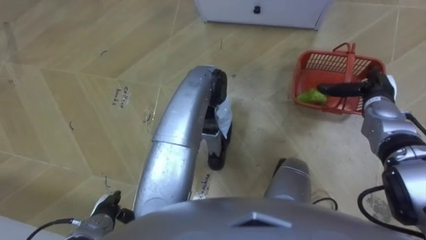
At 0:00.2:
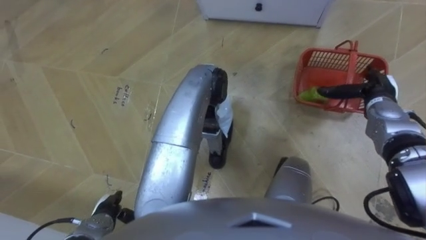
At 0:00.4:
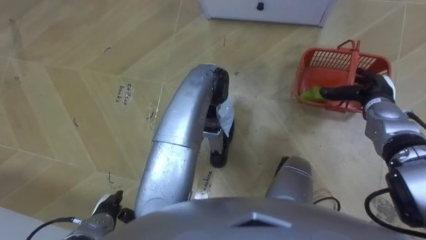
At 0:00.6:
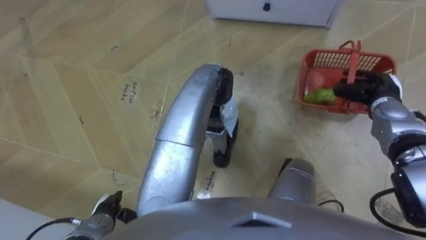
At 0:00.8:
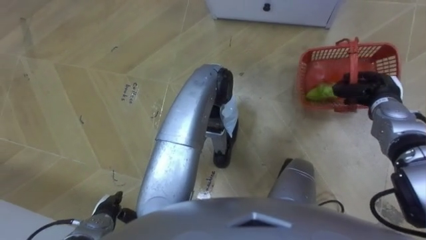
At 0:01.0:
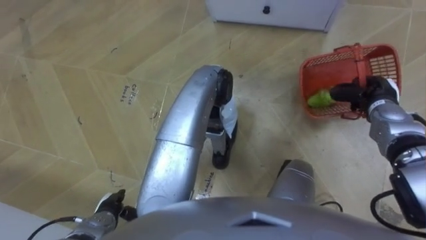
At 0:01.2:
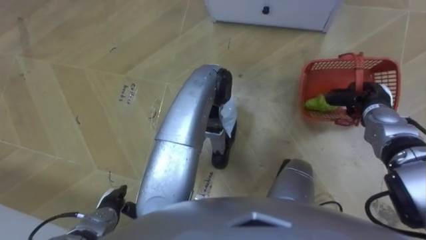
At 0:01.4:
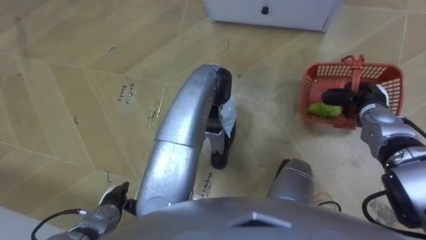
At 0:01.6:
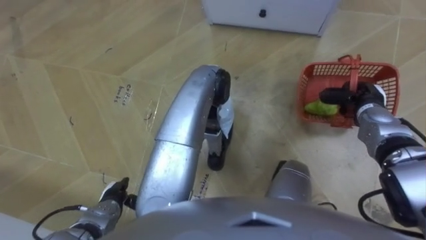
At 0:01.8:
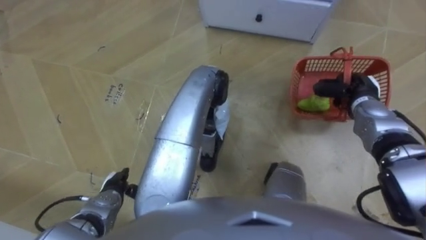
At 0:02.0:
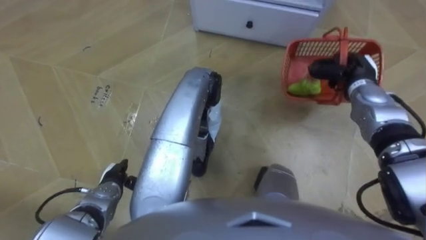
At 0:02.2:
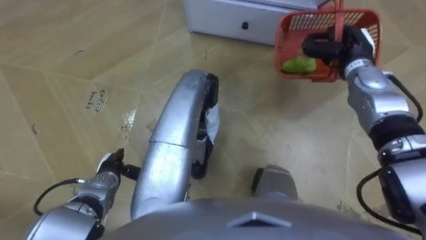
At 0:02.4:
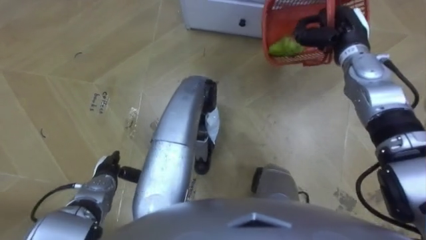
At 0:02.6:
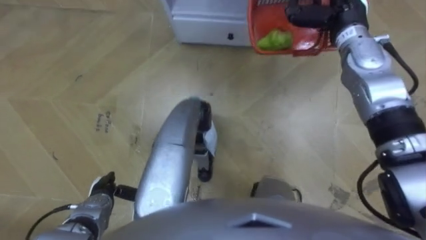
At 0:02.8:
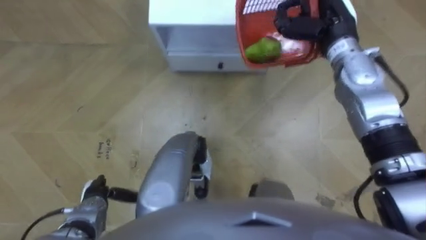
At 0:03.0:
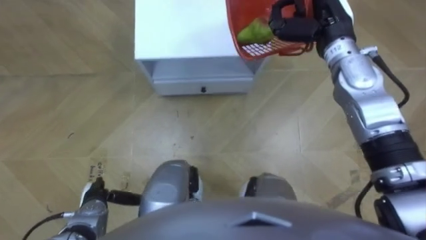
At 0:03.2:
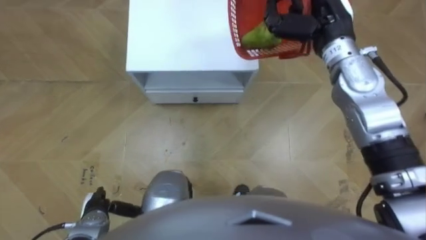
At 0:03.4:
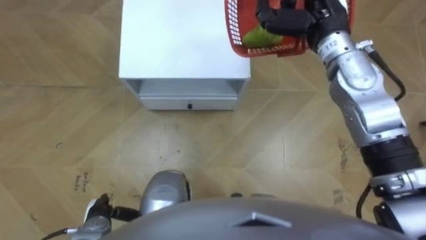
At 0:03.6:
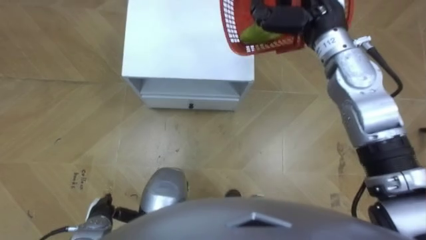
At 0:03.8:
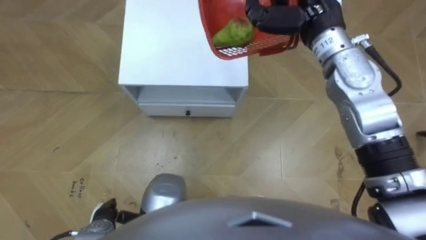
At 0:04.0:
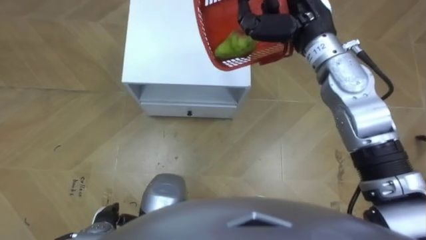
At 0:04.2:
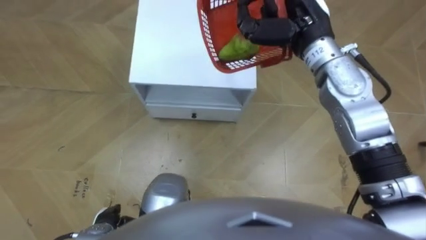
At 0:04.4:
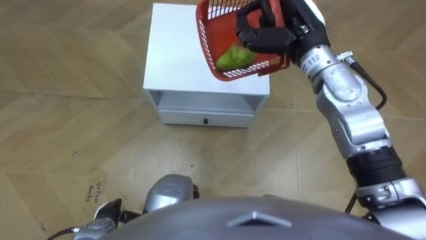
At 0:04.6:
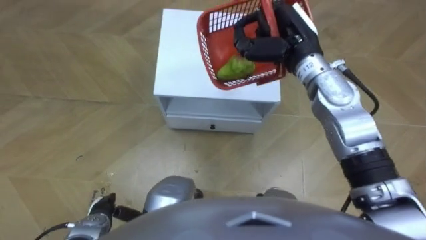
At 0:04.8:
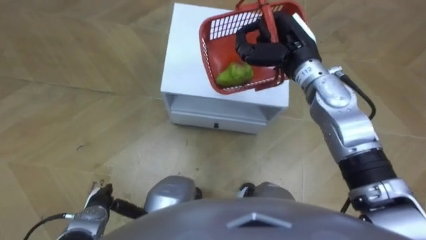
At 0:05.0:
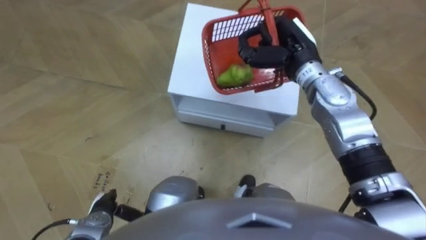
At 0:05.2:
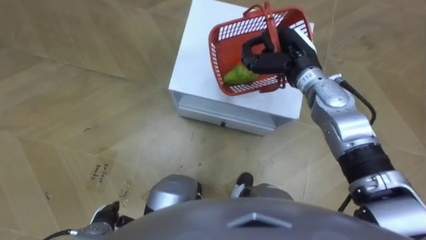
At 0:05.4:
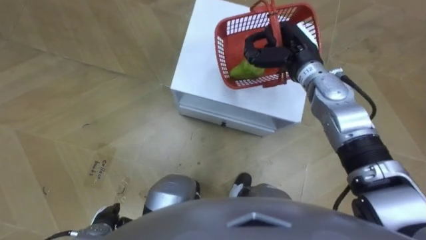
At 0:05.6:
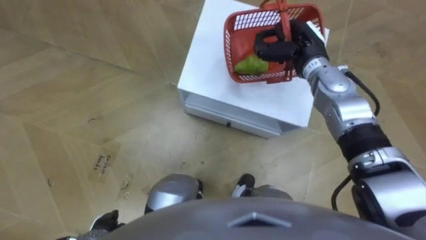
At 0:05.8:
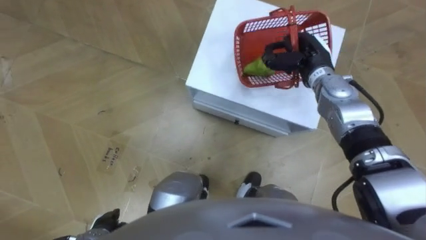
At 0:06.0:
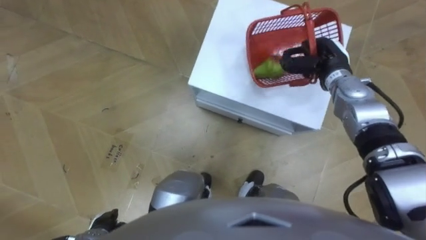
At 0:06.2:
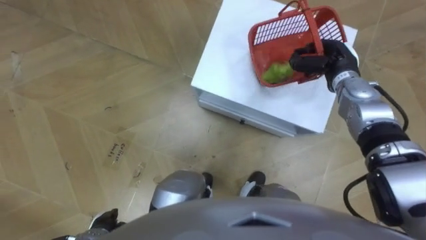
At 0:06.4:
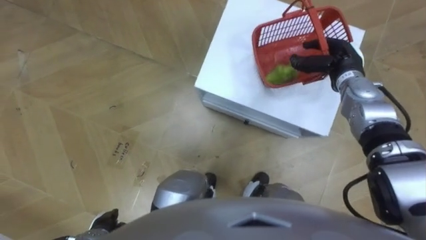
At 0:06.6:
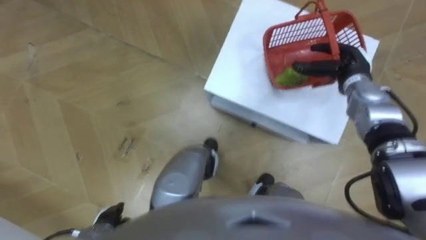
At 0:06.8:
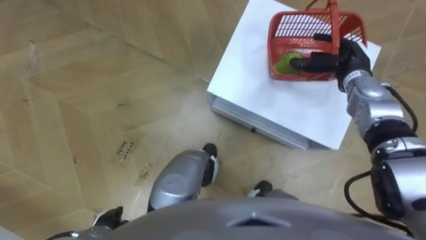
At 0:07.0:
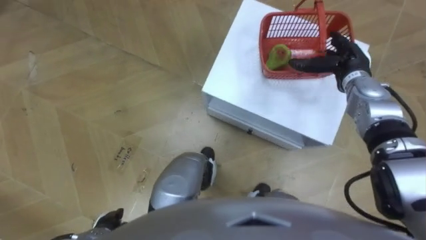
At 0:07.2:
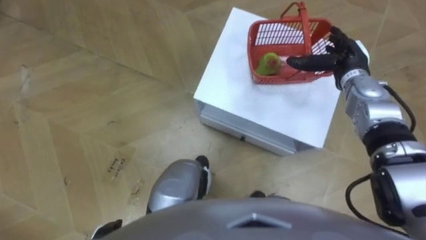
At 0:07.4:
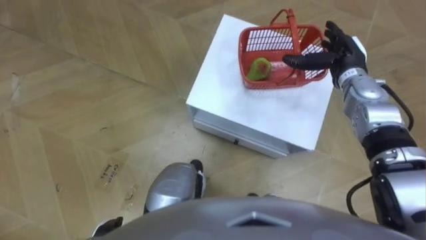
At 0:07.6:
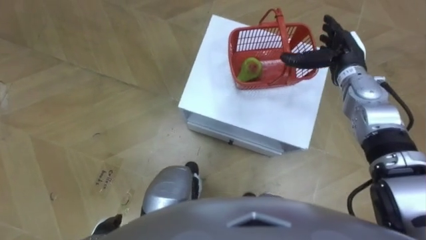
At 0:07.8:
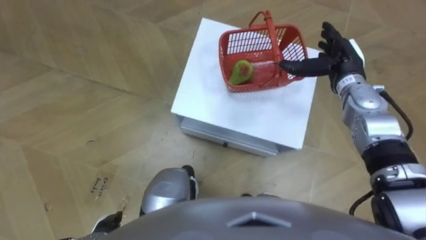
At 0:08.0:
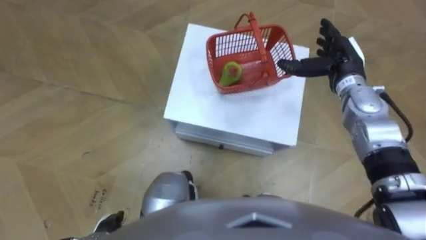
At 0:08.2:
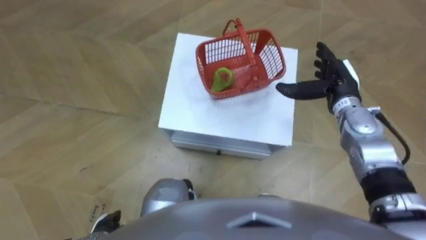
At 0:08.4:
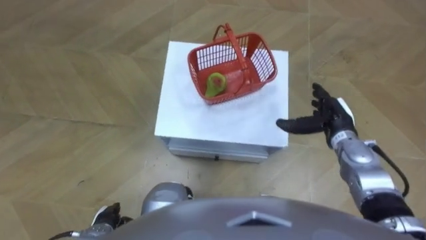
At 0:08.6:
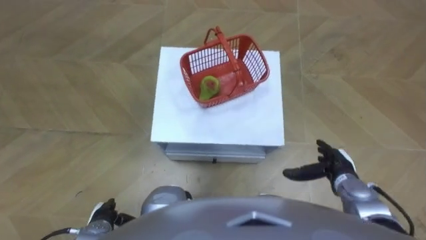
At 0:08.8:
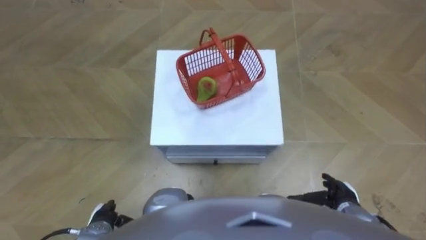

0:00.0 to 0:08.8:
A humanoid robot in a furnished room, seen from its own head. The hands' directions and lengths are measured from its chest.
Task of the whole recording: Pick up the fruit basket from the floor and place it on the cabinet.
0:00.0 to 0:01.4: The right hand closes up.
0:01.4 to 0:03.0: The right hand moves upward, to the left and forward, some 20 cm; the left hand moves roughly 10 cm forward and comes back.
0:03.0 to 0:04.4: The left hand shifts by some 5 cm; the right hand moves to the left, roughly 5 cm.
0:04.4 to 0:05.8: The right hand moves downward and to the right, approximately 15 cm.
0:05.8 to 0:07.4: The right hand goes approximately 5 cm to the right, and opens its fingers.
0:07.4 to 0:08.8: The right hand goes roughly 30 cm backward and downward.
